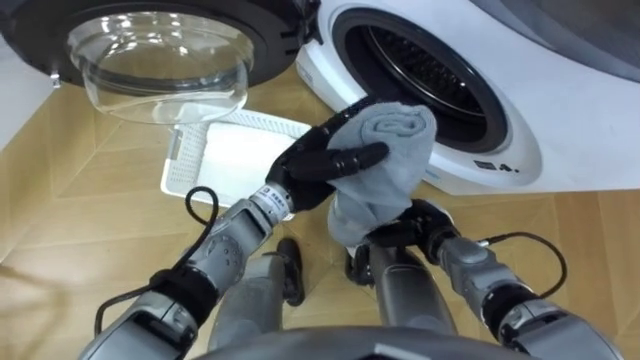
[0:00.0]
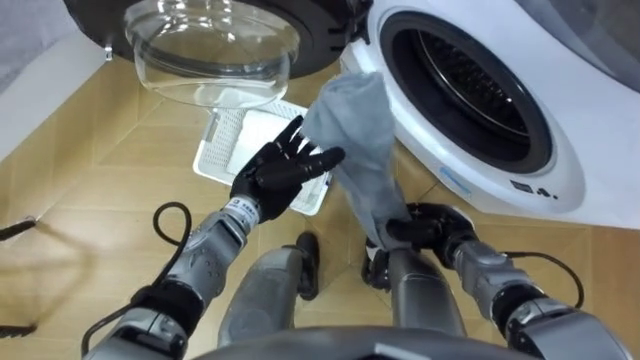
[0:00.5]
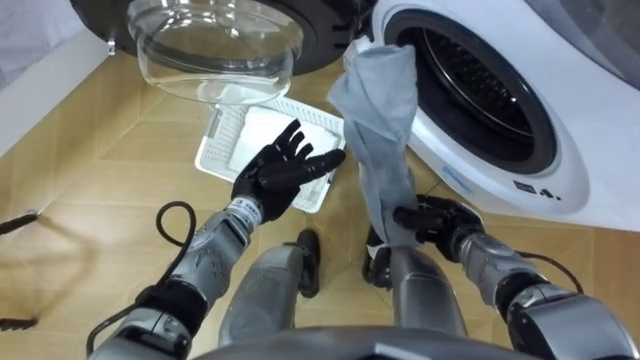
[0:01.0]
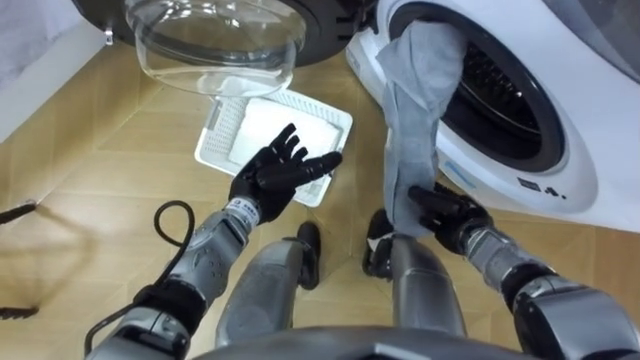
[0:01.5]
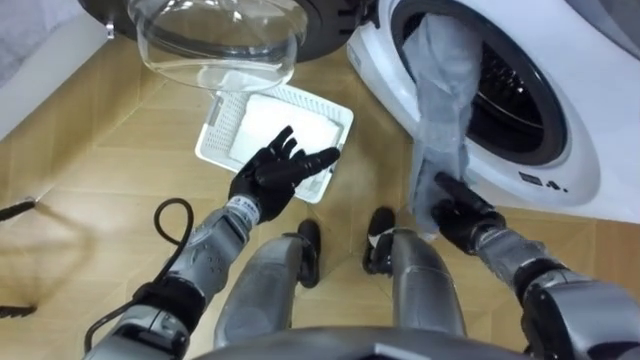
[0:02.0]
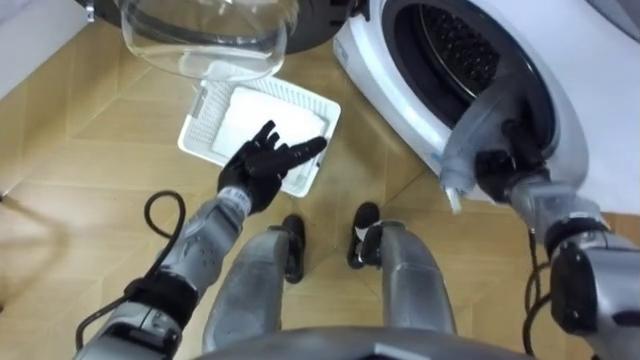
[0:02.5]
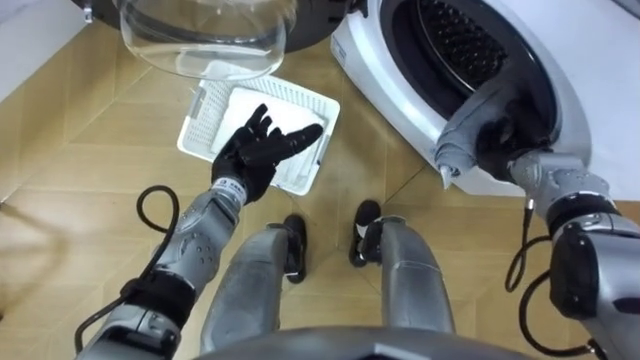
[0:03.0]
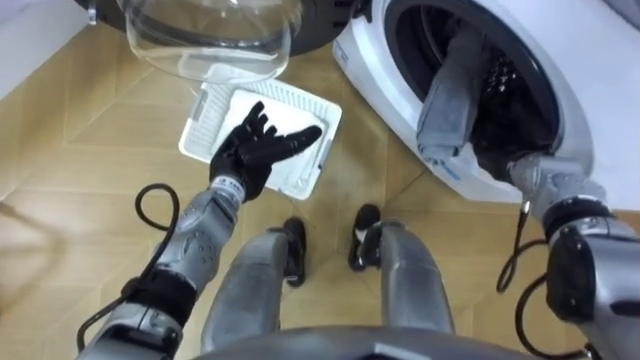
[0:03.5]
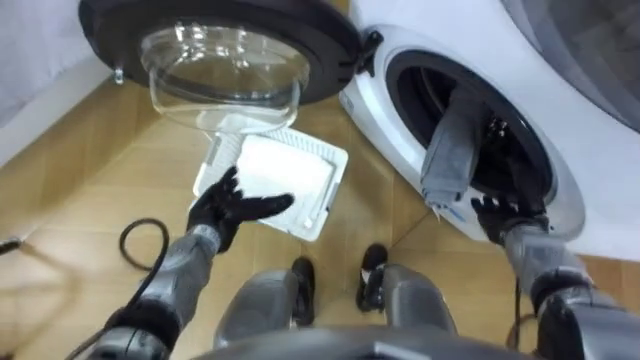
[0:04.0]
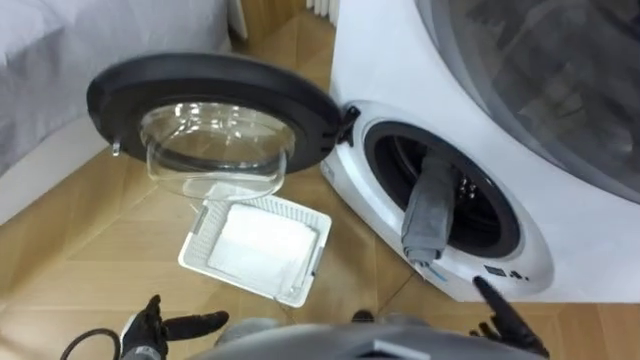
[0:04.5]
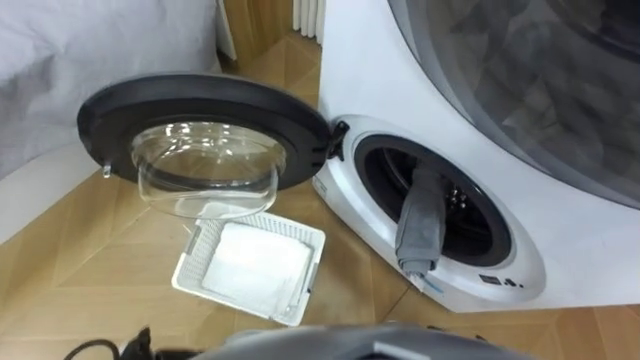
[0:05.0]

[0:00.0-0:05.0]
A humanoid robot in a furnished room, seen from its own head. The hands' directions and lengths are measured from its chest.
Task of the whole recording: Take the towel from the basket and put it into the washing machine.
0:00.0 to 0:02.5: The left hand heads to the left, covering roughly 10 cm; the right hand travels to the right and forward by some 15 cm.

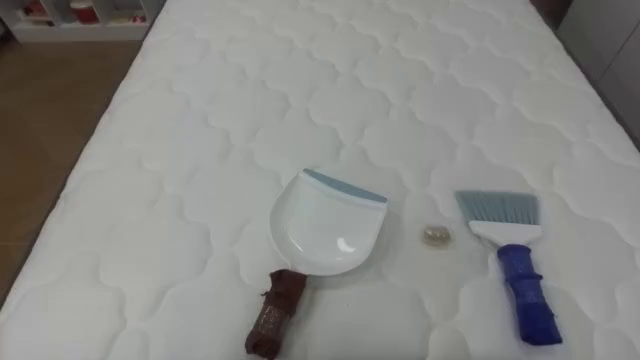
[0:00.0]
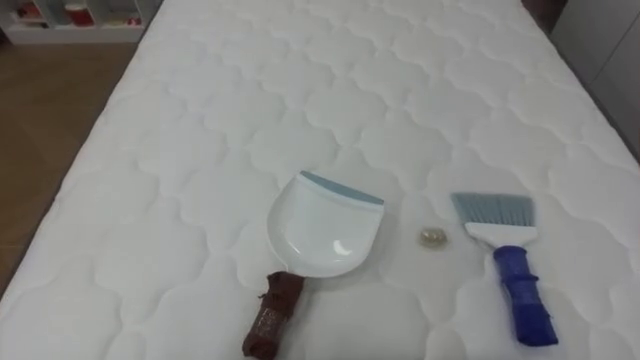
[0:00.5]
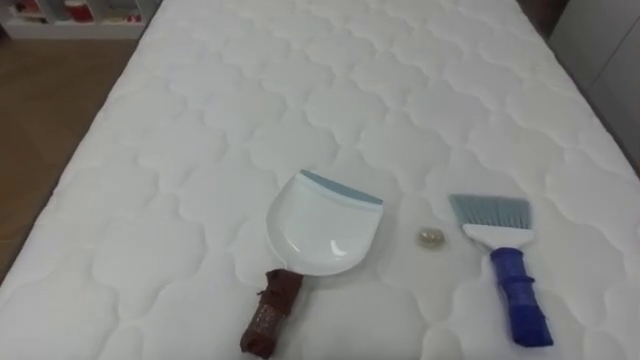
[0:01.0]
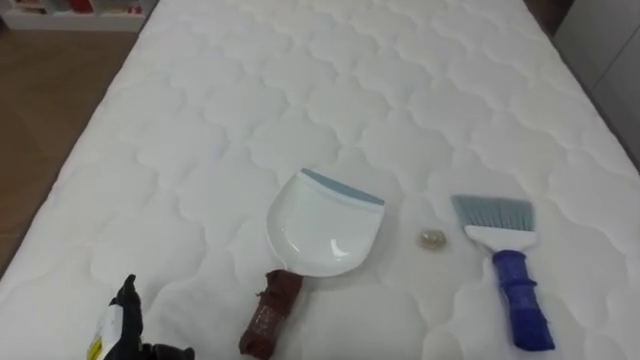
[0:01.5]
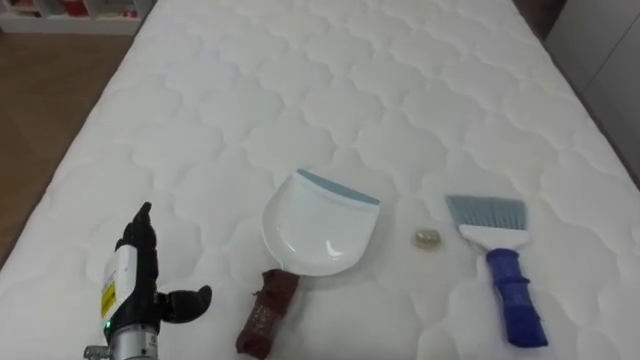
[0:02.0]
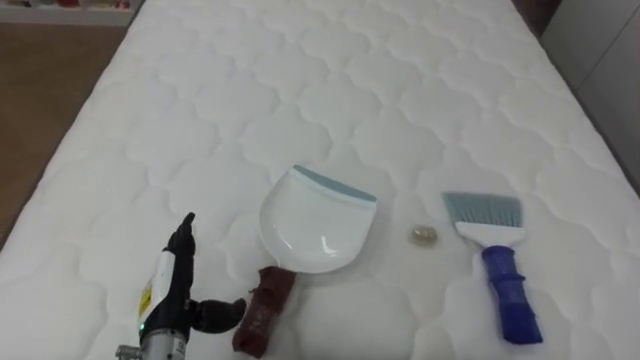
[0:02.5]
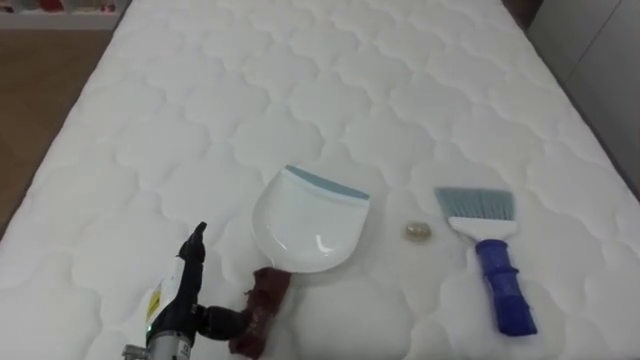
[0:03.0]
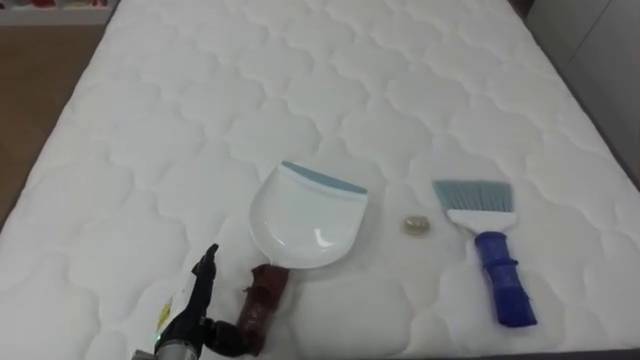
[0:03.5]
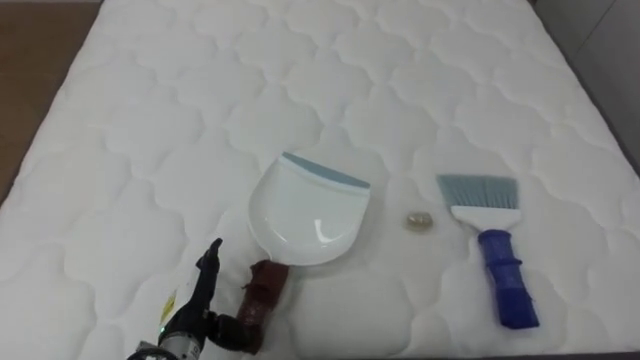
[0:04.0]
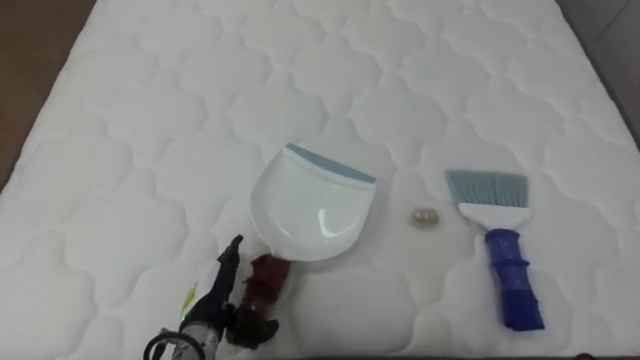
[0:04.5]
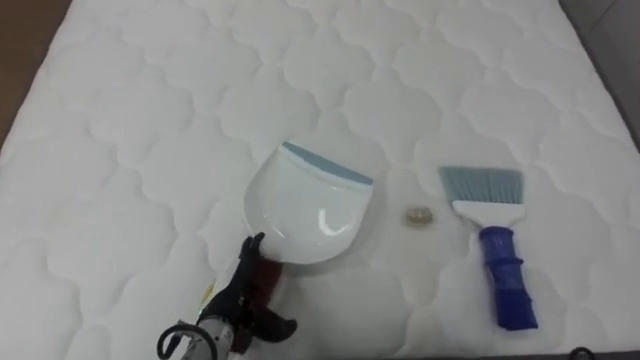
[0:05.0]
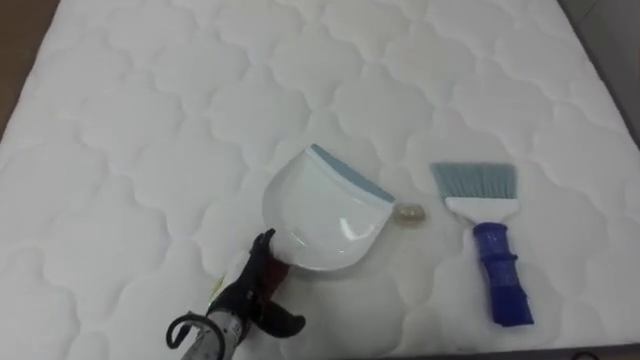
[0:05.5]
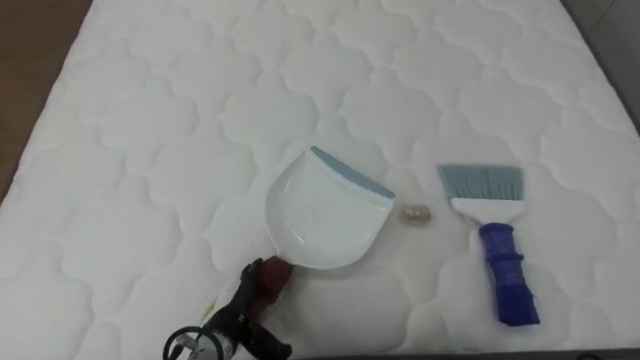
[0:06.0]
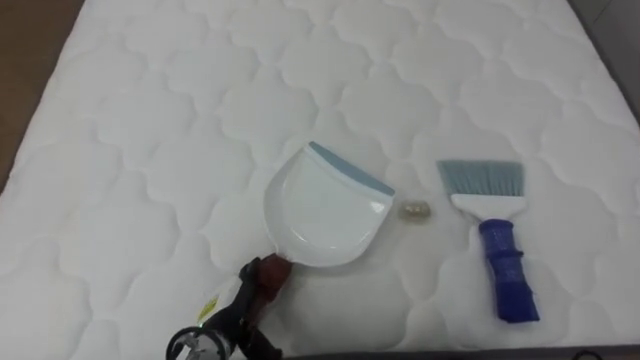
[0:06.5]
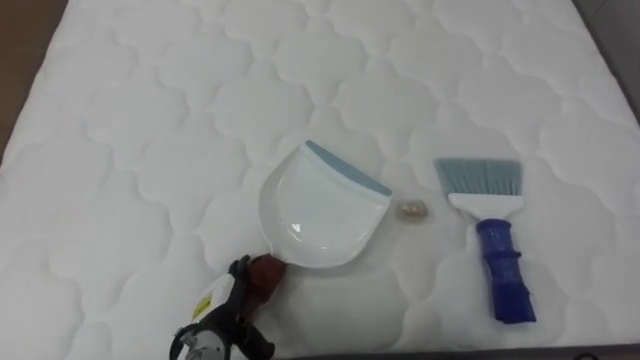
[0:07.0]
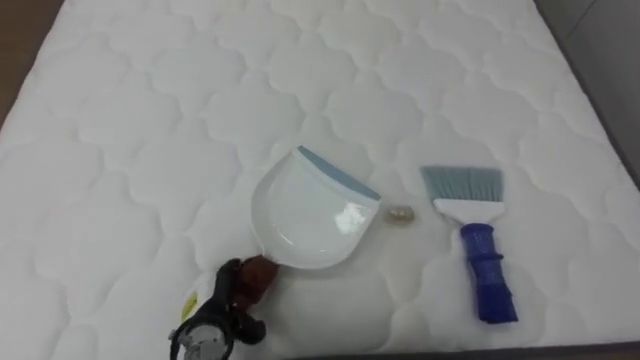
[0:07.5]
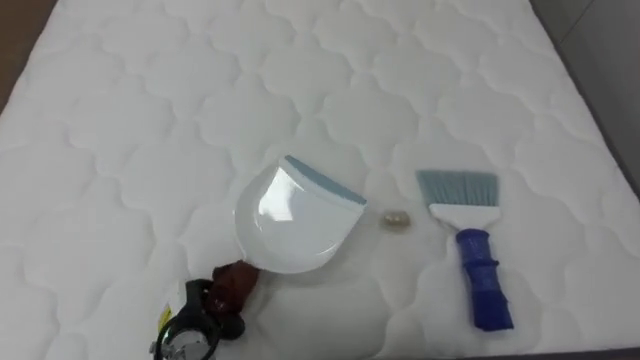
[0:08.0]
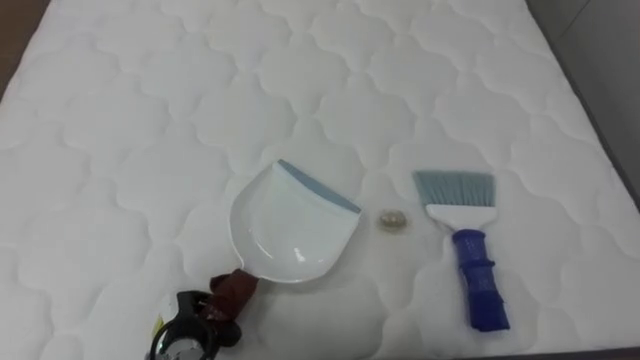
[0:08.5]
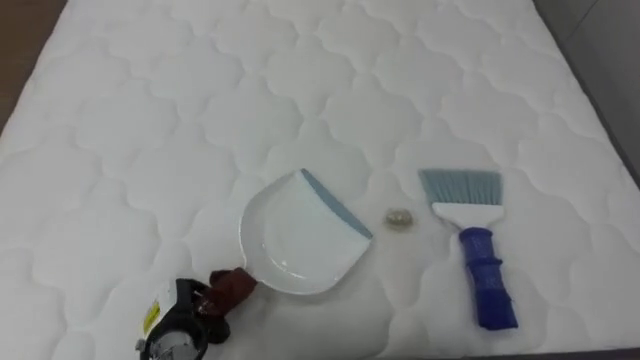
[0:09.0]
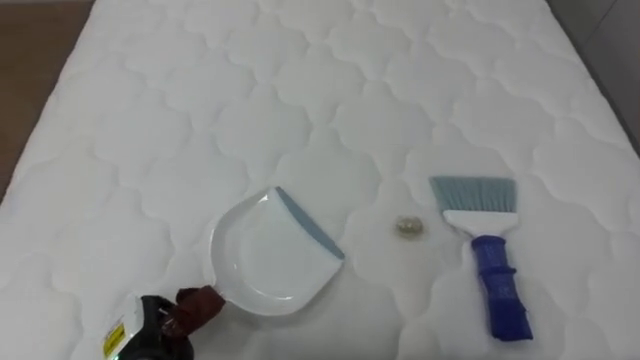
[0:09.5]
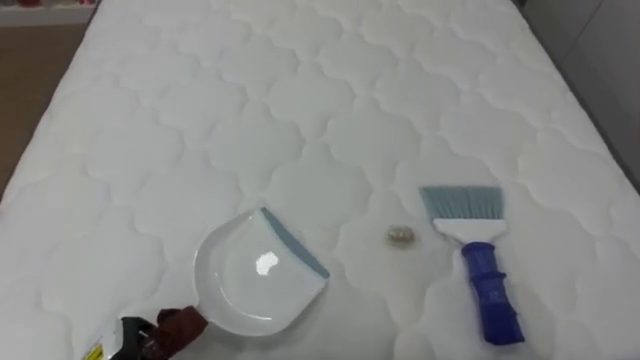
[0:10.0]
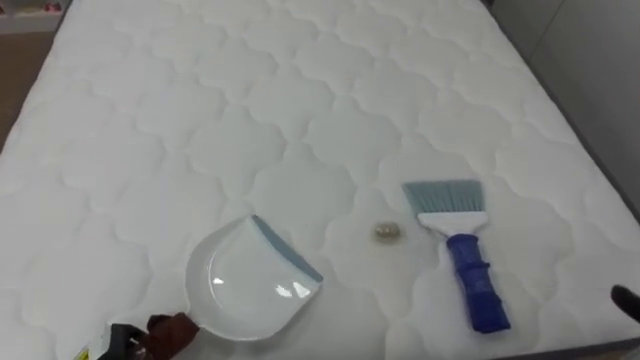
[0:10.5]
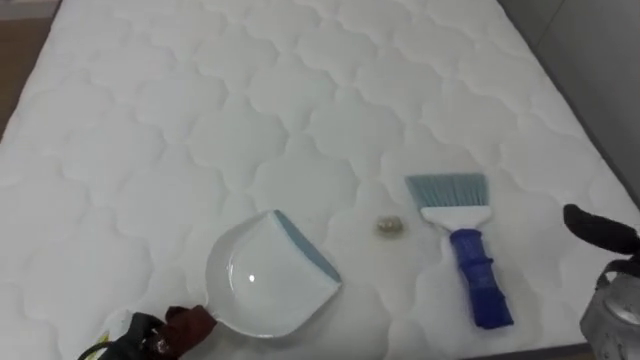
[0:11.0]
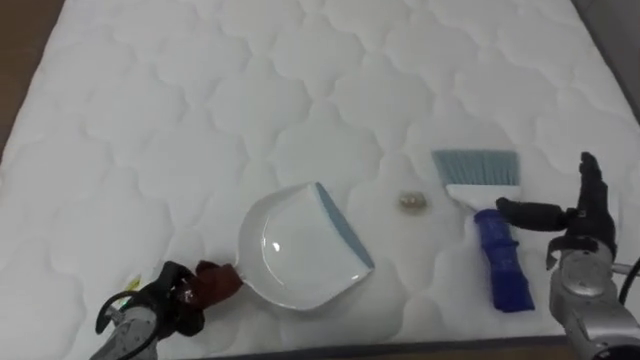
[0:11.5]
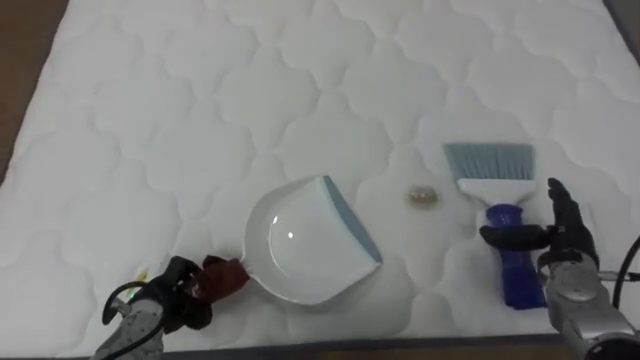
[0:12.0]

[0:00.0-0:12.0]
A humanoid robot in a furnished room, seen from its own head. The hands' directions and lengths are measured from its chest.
Task of the whole recording: Pick up the brush on your right and the dustpan on your left. Use the brush to sweep the crumpled paper on the bed into the dustpan, then turn left and empty it into the basket.
0:02.0 to 0:04.0: The left hand travels to the right and downward by about 10 cm.
0:04.0 to 0:06.0: The left hand goes approximately 5 cm to the right.
0:06.0 to 0:08.0: The left hand moves to the left, roughly 5 cm, and closes its fingers.
0:08.0 to 0:10.0: The left hand travels to the left and backward by approximately 10 cm.

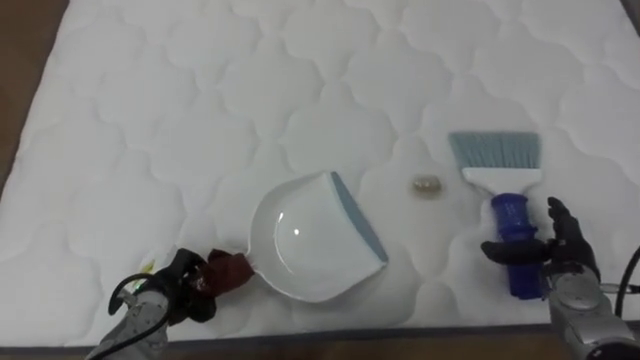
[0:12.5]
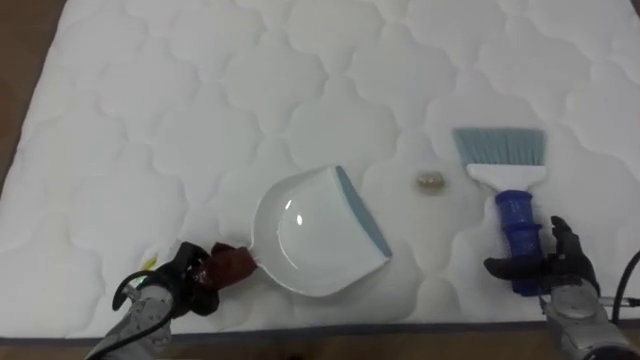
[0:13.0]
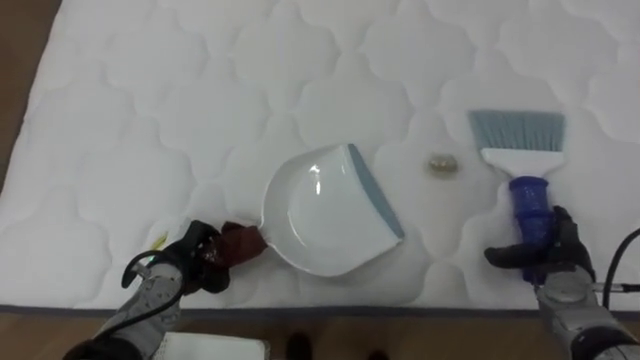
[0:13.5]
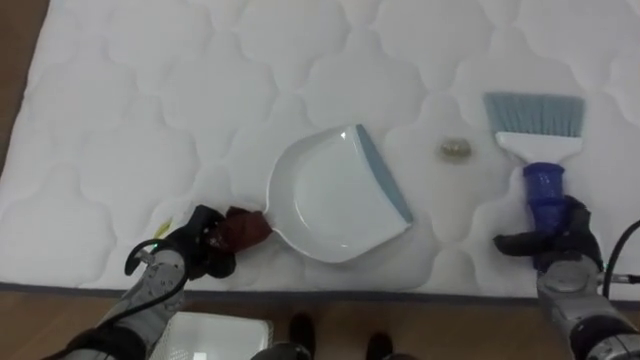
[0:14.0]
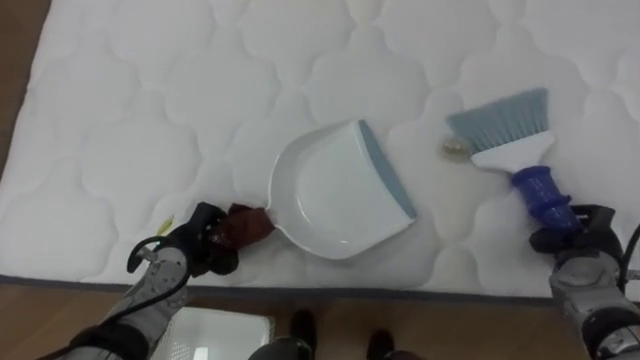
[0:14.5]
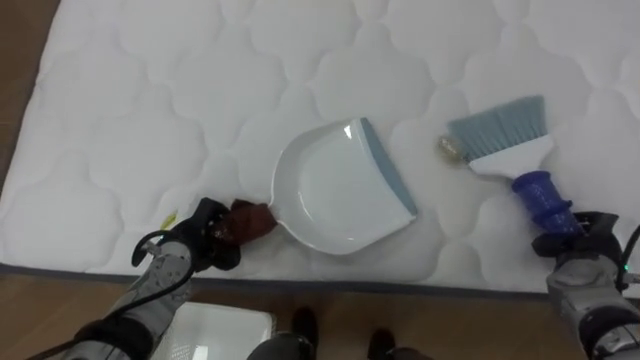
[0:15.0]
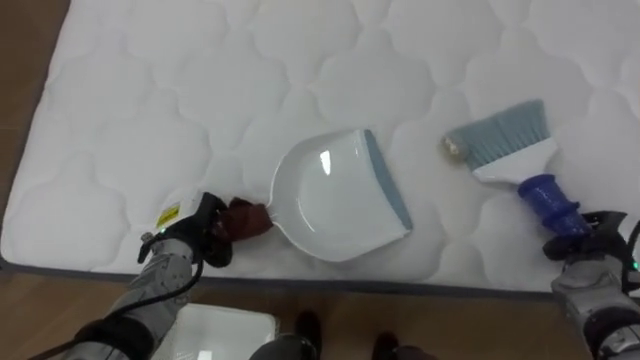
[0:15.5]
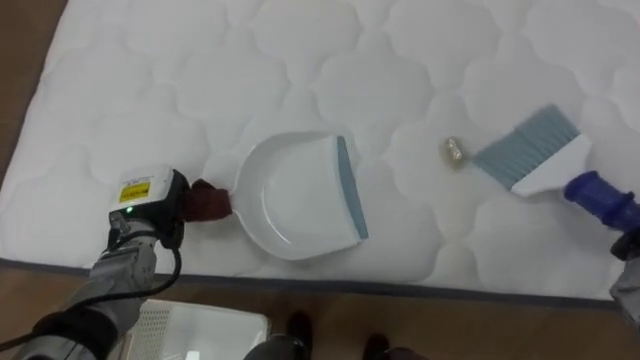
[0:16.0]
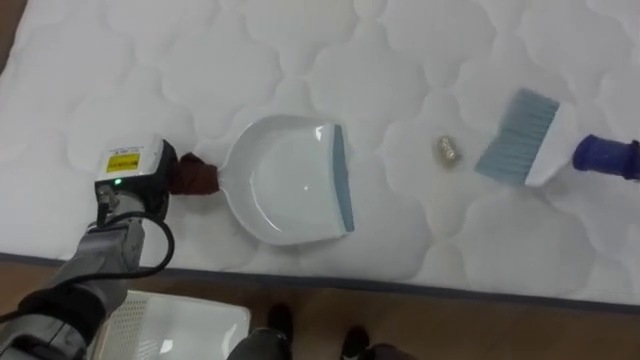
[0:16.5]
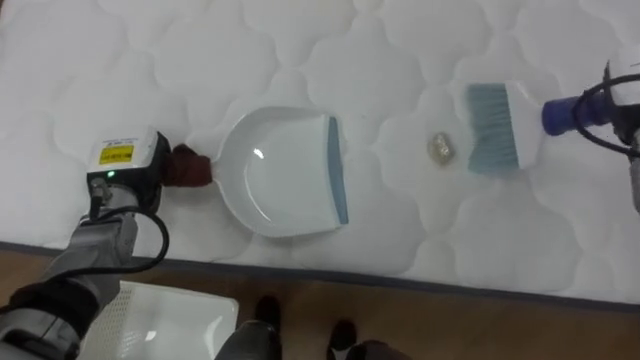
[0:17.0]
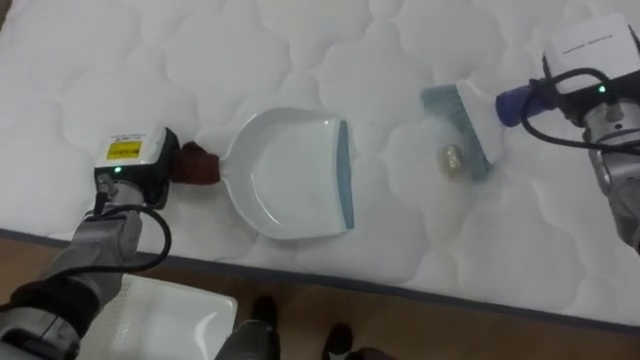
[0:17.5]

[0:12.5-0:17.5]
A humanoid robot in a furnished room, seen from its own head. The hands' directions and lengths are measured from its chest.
Task of the whole recording: Pick up the brush on your right and the dustpan on your left. Use the brush to sweep the crumpled paper on the bed into the dustpan, then turn left and empty it into the basket.
0:12.5 to 0:15.0: The right hand closes up. Meanwhile the left hand goes approximately 5 cm forward.
0:15.0 to 0:17.5: The left hand travels upward, forward and to the left by some 15 cm.
